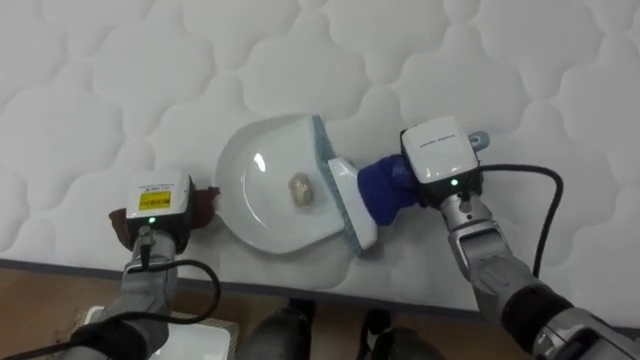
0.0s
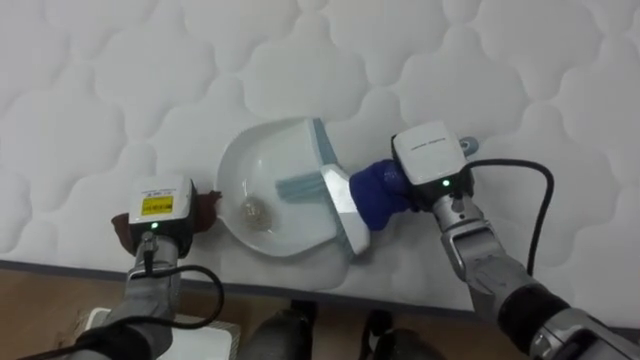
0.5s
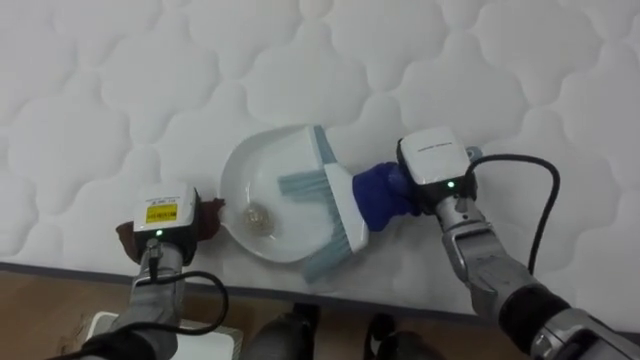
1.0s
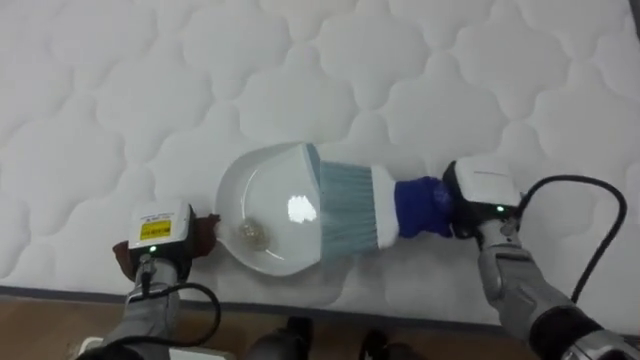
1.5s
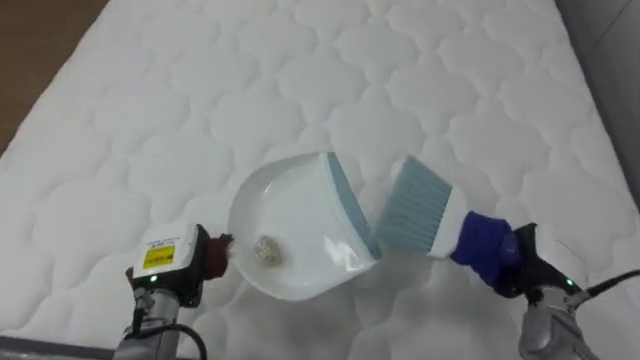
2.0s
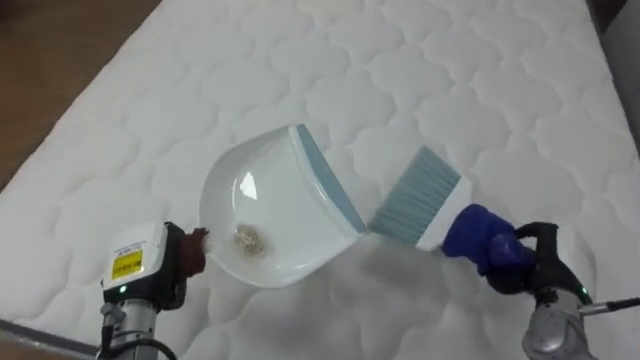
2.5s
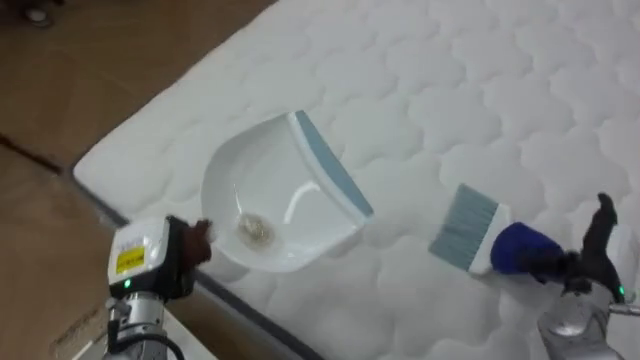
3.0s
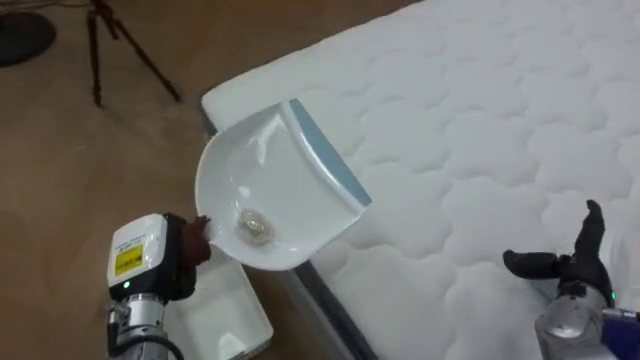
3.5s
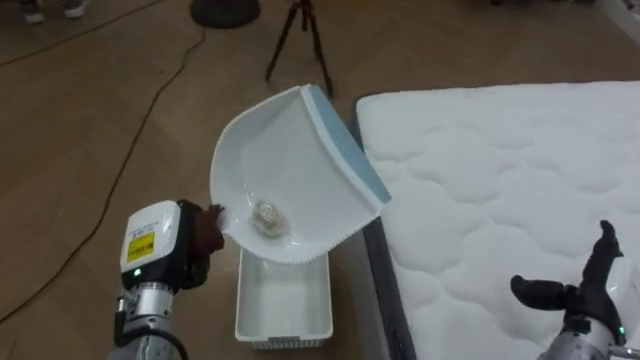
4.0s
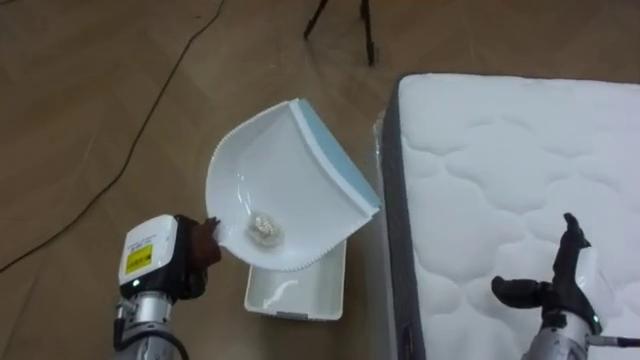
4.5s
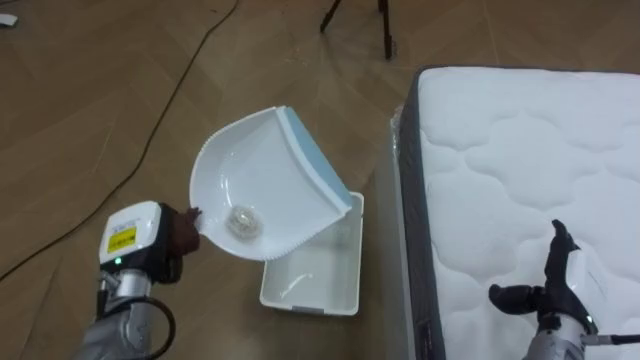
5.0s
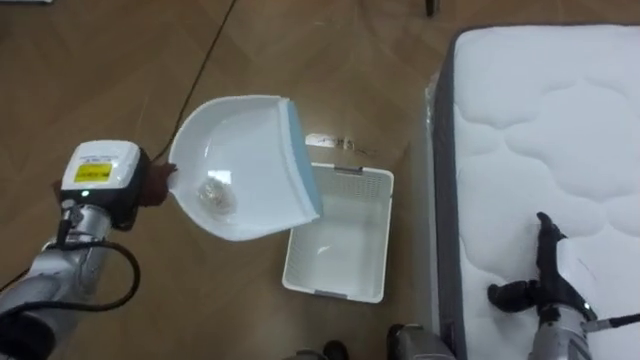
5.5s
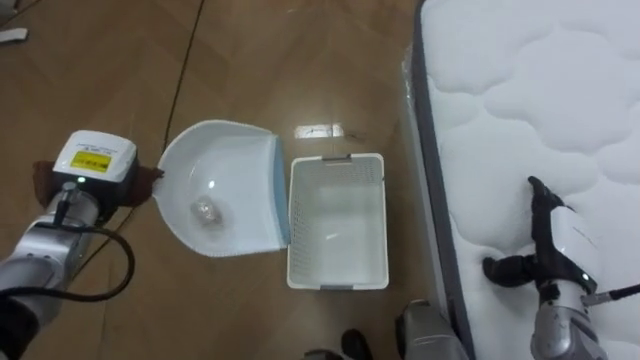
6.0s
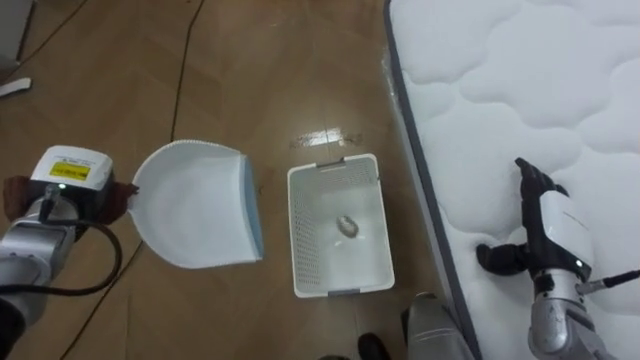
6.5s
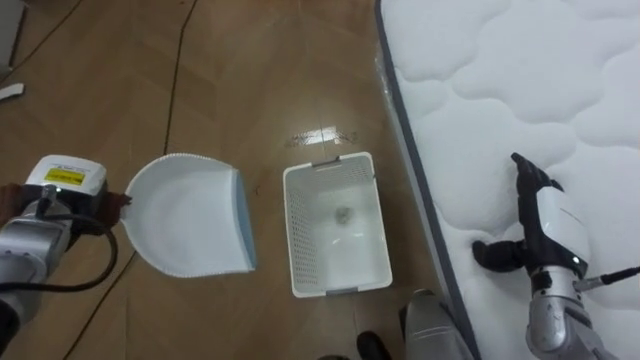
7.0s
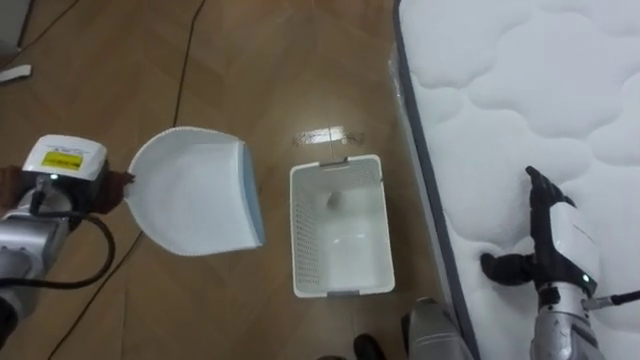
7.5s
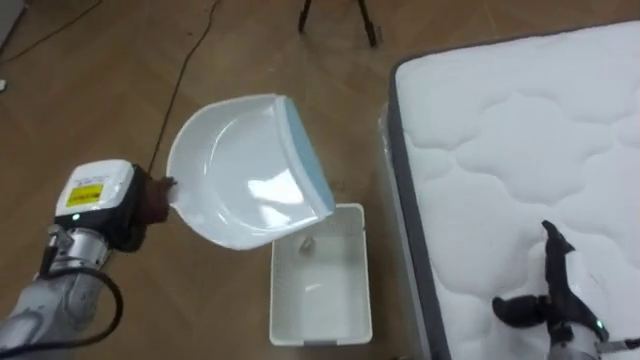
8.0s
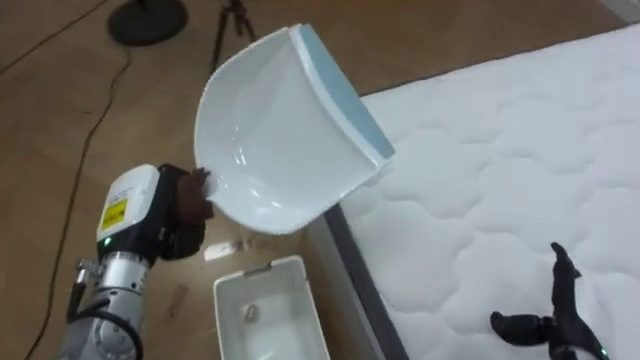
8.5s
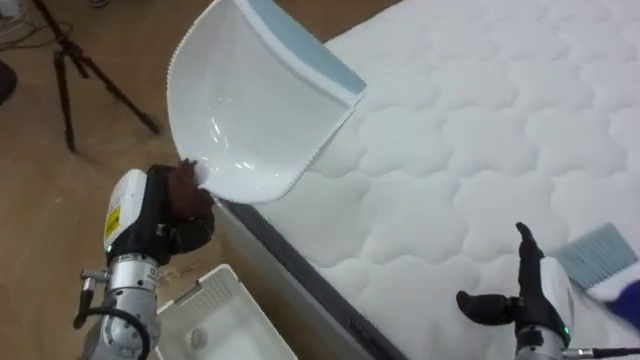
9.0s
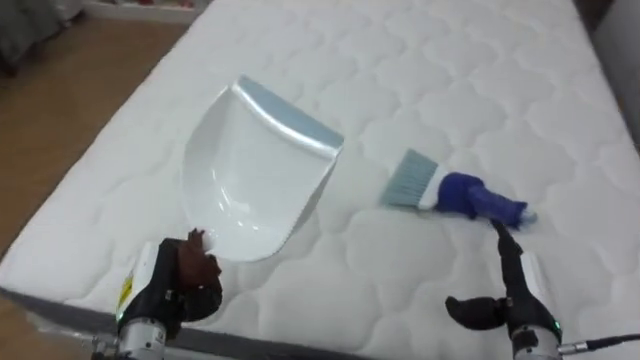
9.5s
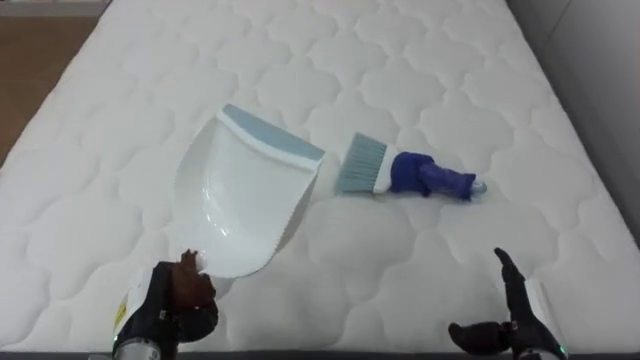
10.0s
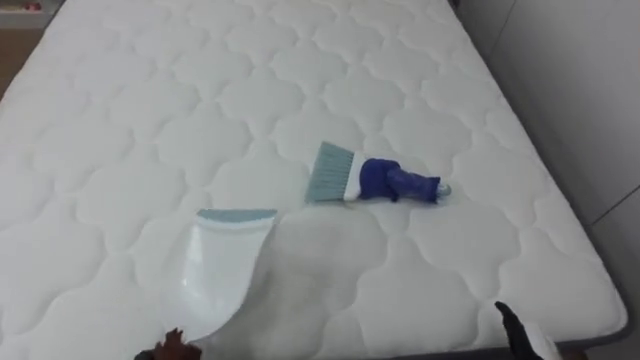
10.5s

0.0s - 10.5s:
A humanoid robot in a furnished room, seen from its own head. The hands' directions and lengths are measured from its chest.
Task of the whole recording: Pick up the brush on your right and the dustpan on your left. Use the brush to sweep the crumpled paper on the bed into the dustpan, then turn left and empty it into the basket.
0.0s - 2.0s: The left hand shifts some 5 cm backward. Meanwhile the right hand goes about 20 cm to the right, downward and backward.
2.0s - 4.0s: The robot turns to its left by some 80 degrees. The right hand travels backward by approximately 5 cm, and opens its fingers.
4.0s - 6.5s: The left hand shifts approximately 15 cm to the left and forward, while the right hand moves forward and to the left, roughly 10 cm.
6.5s - 8.5s: The right hand heads backward and downward, covering some 10 cm, while the left hand is displaced to the right and backward by some 10 cm.
8.5s - 10.5s: The robot faces approximately 80 degrees further to its right.

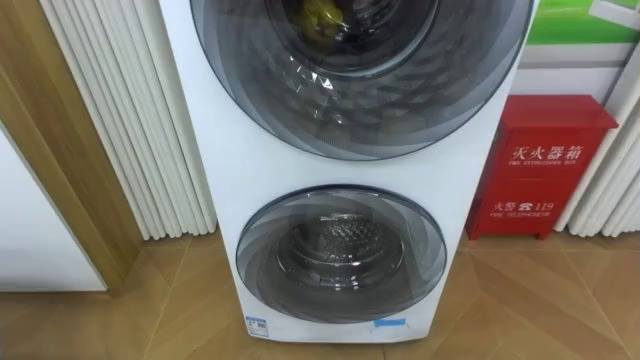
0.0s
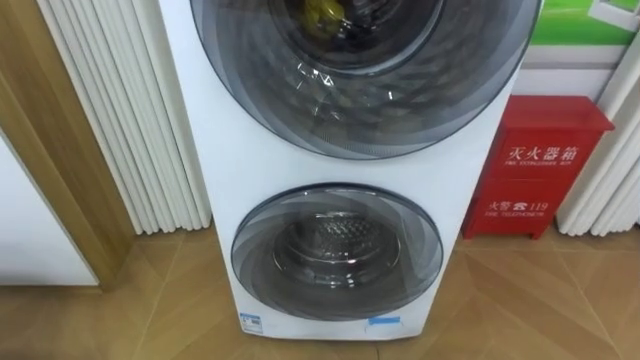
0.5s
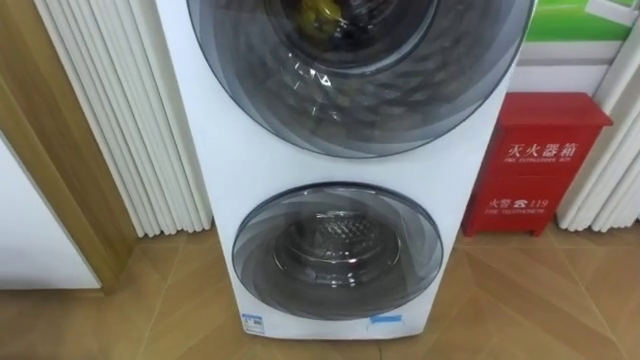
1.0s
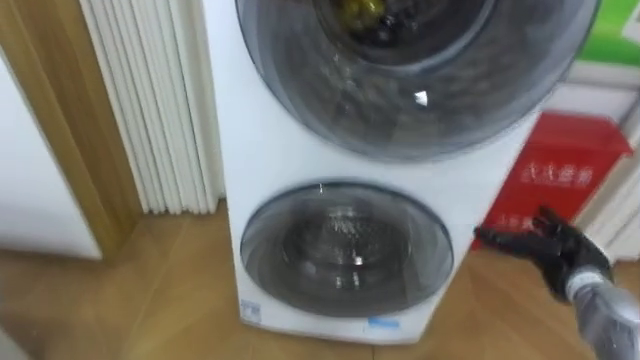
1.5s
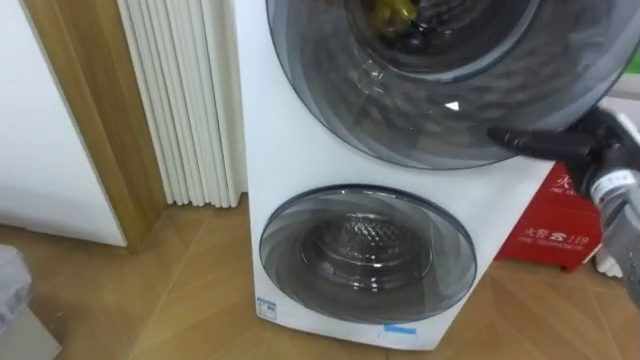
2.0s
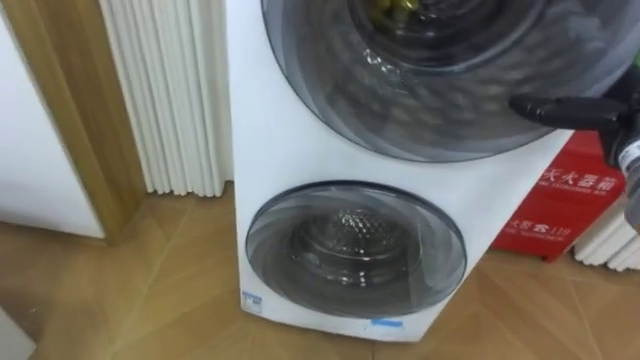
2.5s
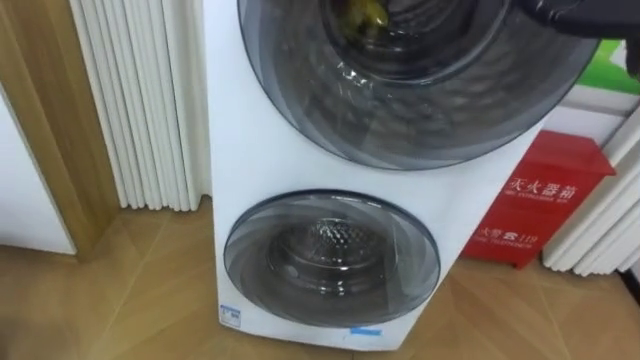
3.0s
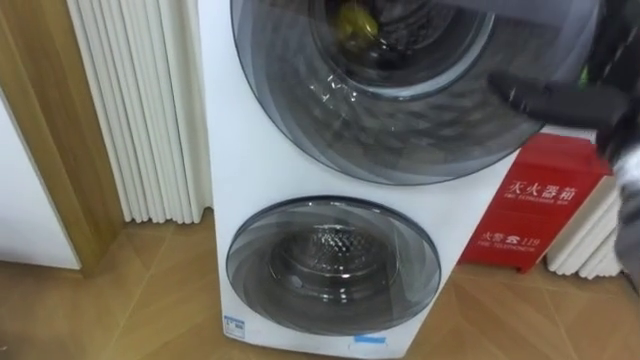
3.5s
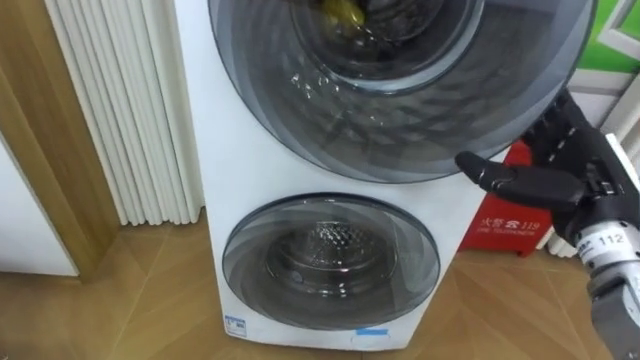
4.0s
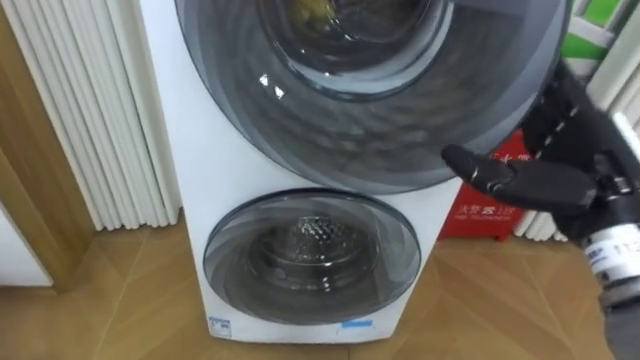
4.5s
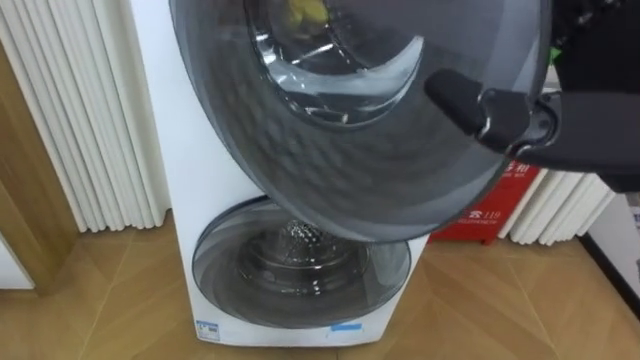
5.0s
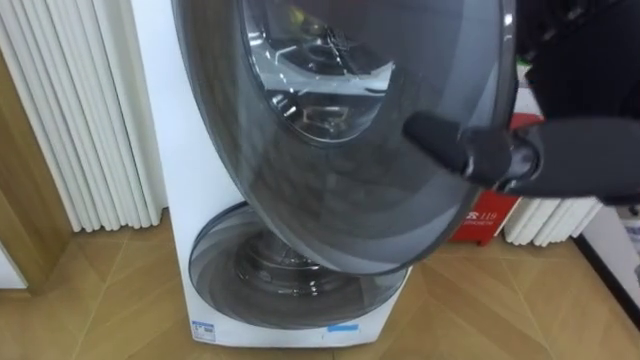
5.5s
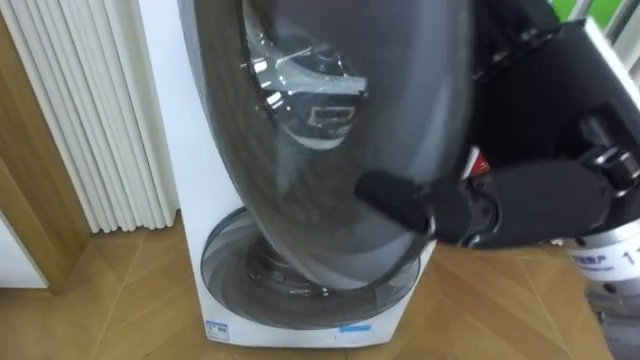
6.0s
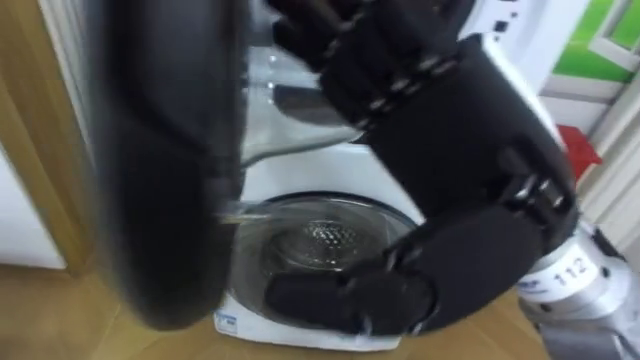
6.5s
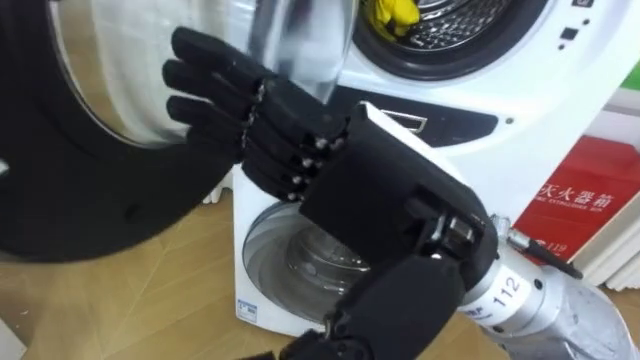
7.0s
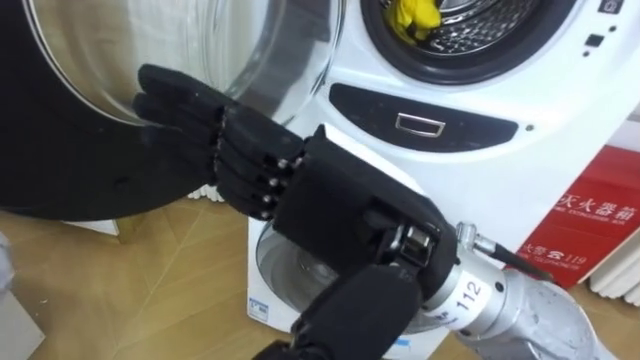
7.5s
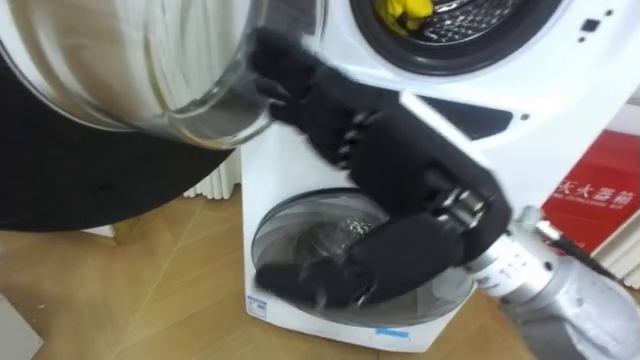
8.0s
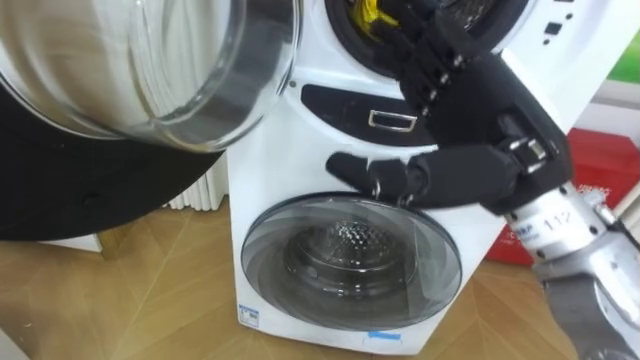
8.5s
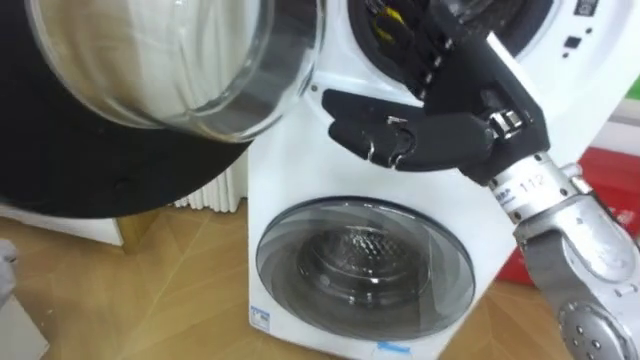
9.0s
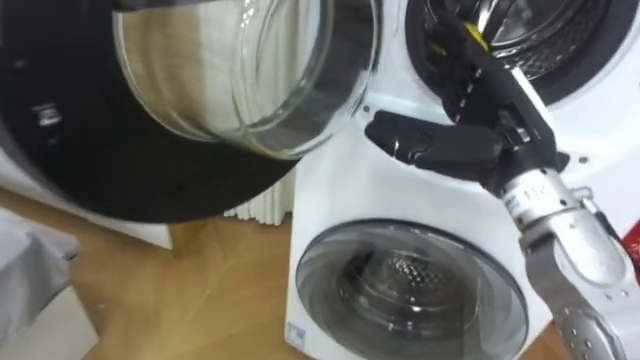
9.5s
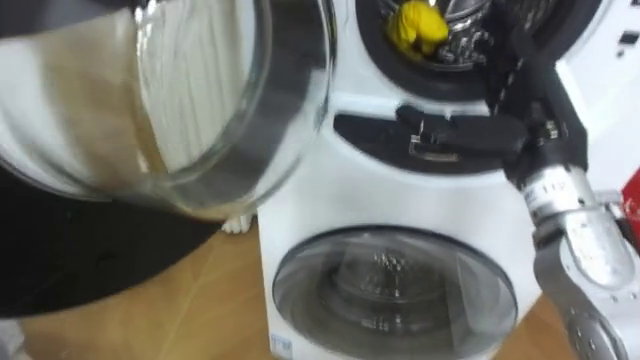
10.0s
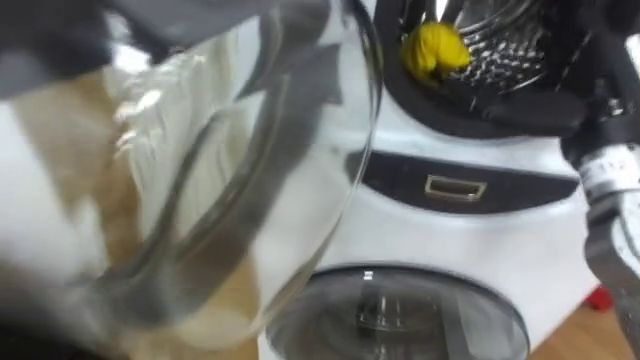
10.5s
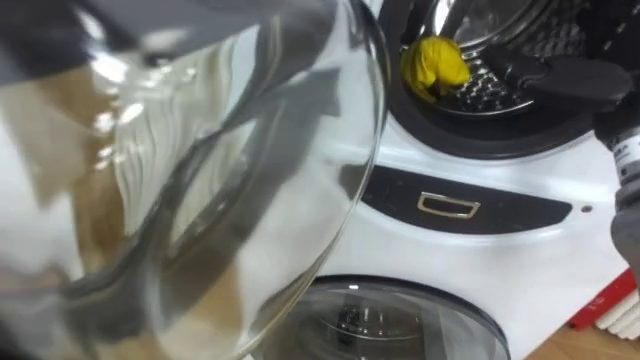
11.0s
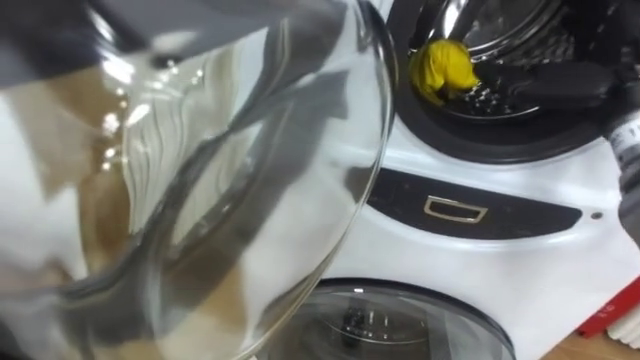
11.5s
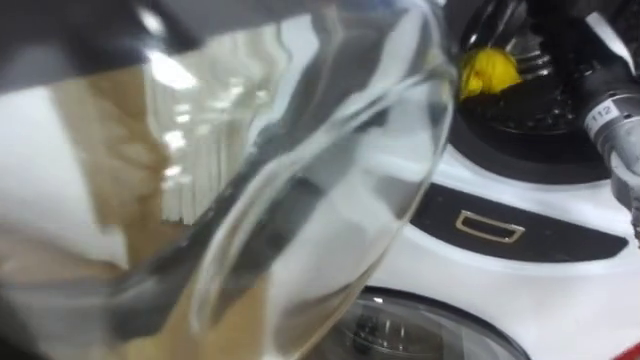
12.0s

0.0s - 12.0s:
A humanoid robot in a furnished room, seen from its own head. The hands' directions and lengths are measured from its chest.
Task of the whole recording: Open the washing machine door, take out the yellow clothes, place them in the box on the right, and close the washing machine door.
4.0s - 6.0s: The right hand goes approximately 20 cm upward, to the left and backward.
6.0s - 8.0s: The right hand heads to the left, covering approximately 5 cm.
8.0s - 10.0s: The right hand travels to the right and forward by roughly 15 cm.
10.0s - 12.0s: The right hand shifts about 10 cm forward and to the right.
